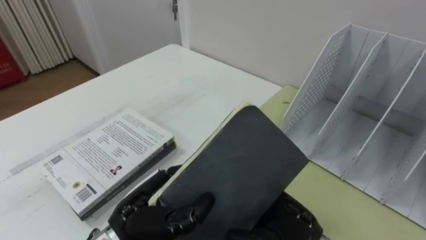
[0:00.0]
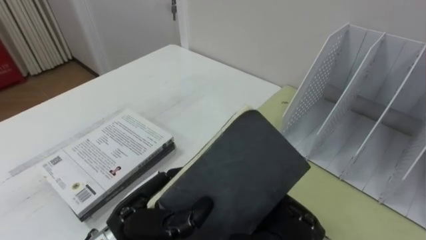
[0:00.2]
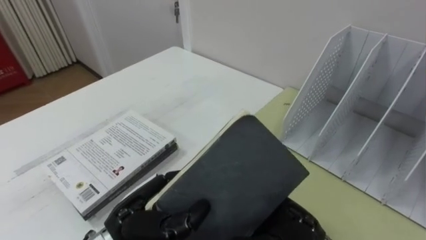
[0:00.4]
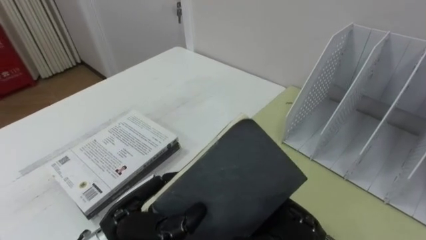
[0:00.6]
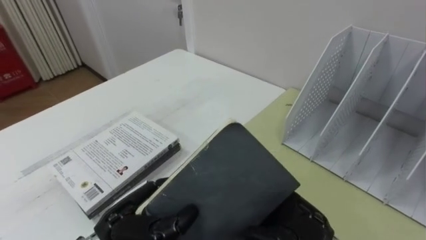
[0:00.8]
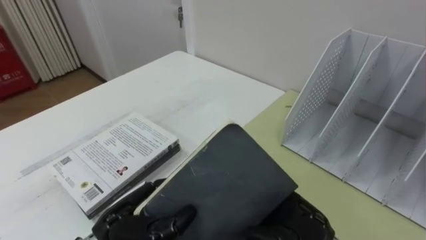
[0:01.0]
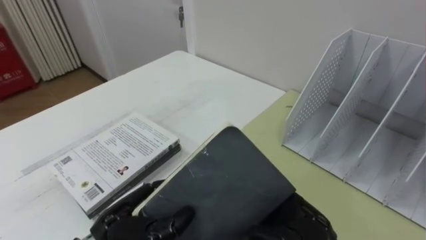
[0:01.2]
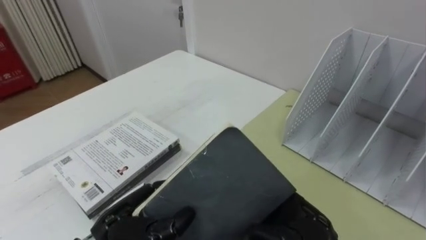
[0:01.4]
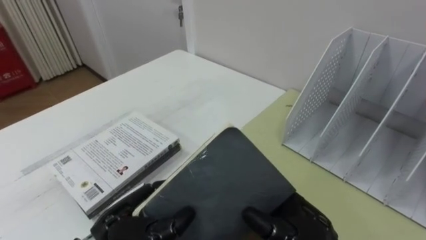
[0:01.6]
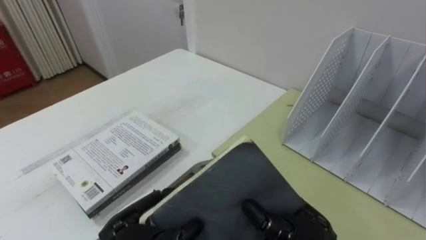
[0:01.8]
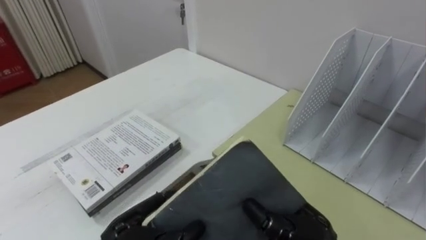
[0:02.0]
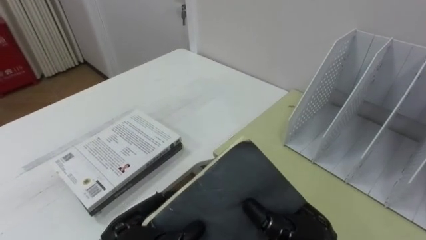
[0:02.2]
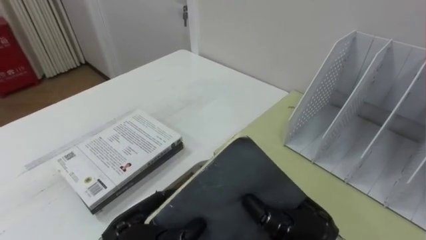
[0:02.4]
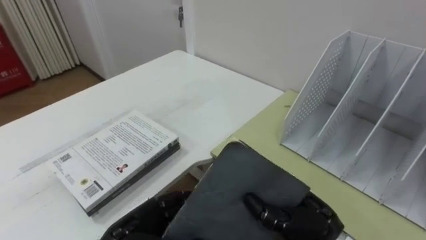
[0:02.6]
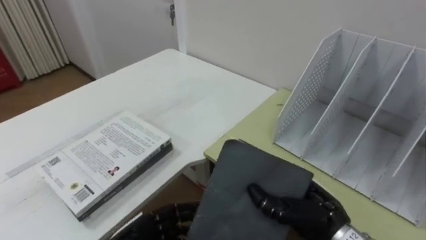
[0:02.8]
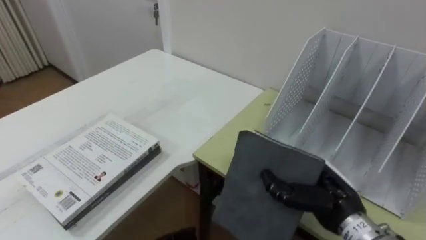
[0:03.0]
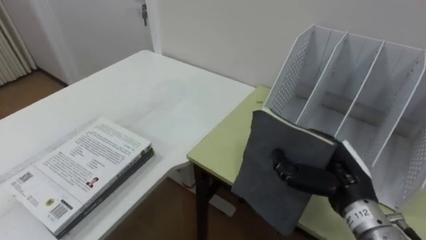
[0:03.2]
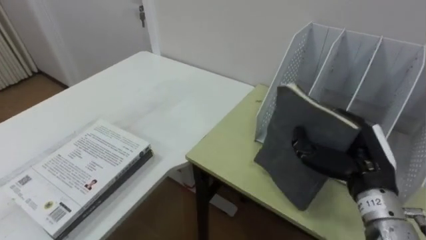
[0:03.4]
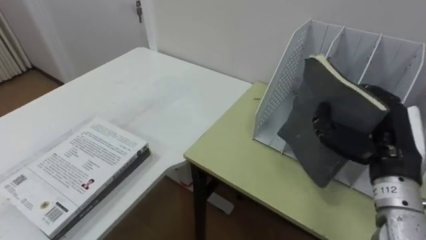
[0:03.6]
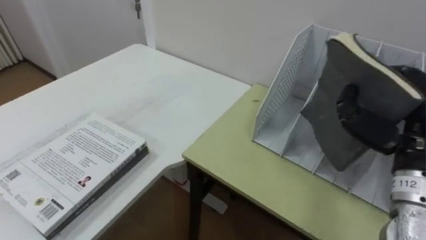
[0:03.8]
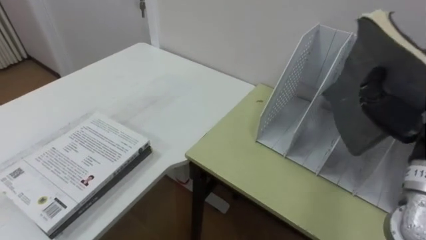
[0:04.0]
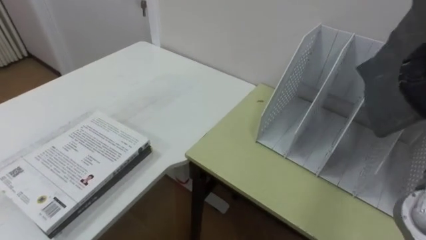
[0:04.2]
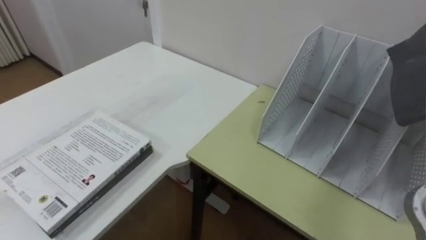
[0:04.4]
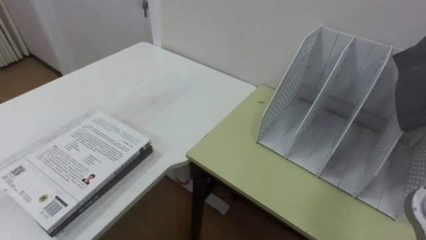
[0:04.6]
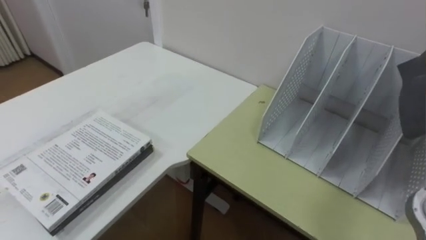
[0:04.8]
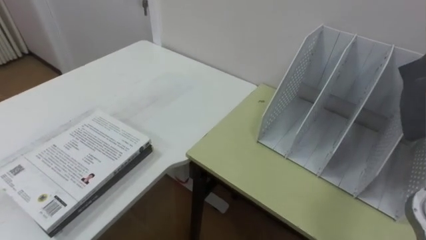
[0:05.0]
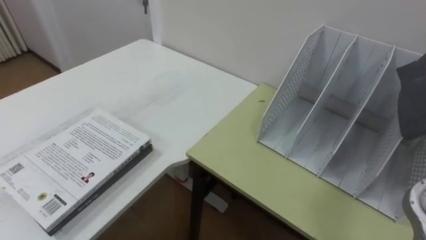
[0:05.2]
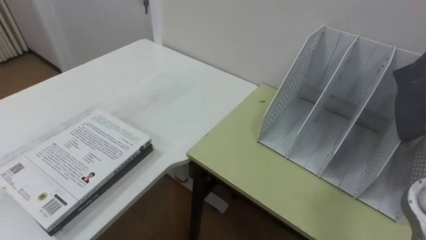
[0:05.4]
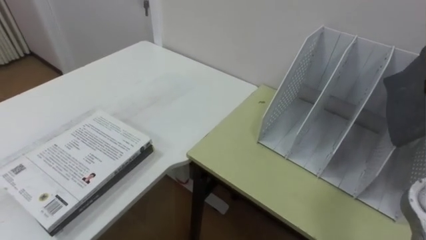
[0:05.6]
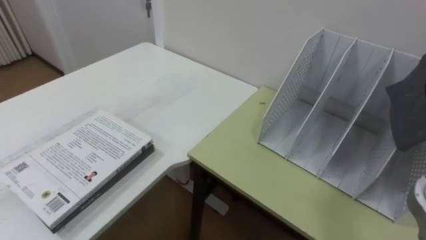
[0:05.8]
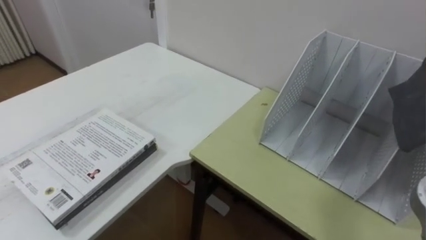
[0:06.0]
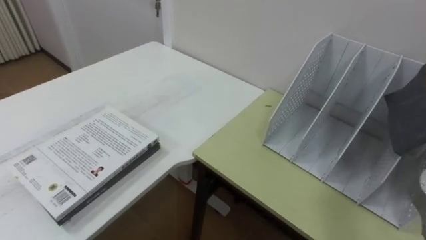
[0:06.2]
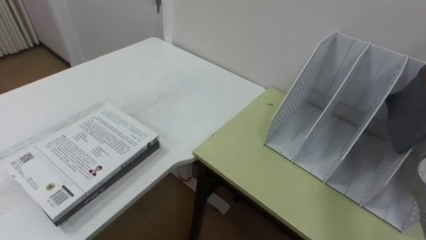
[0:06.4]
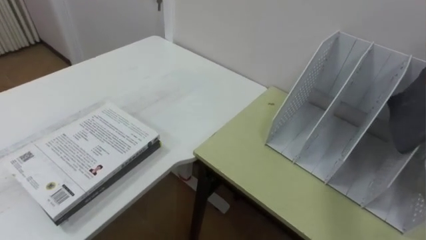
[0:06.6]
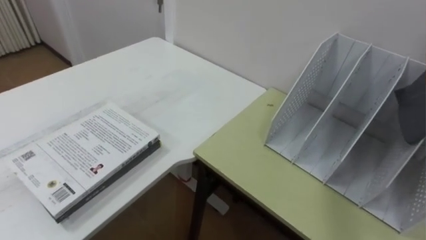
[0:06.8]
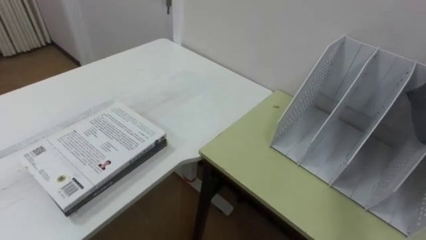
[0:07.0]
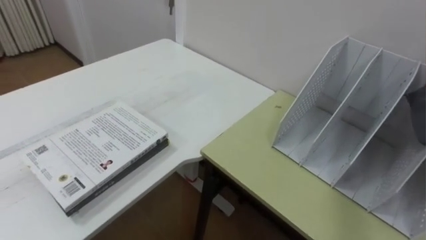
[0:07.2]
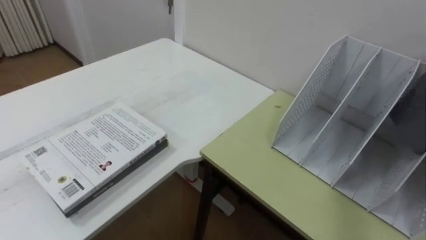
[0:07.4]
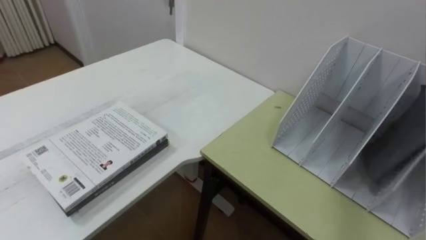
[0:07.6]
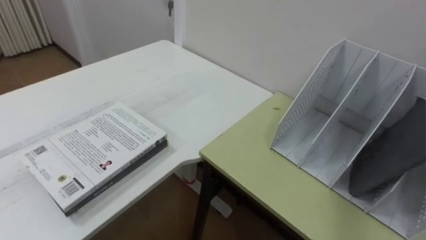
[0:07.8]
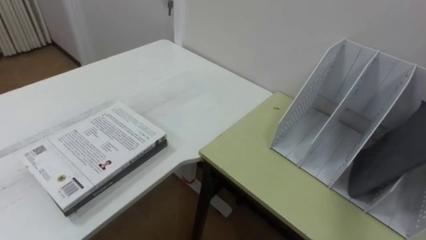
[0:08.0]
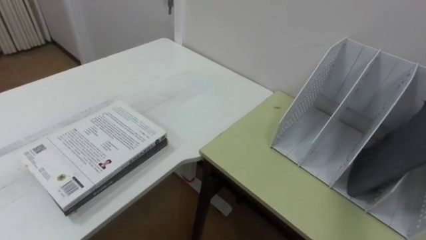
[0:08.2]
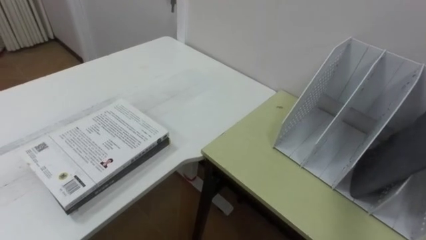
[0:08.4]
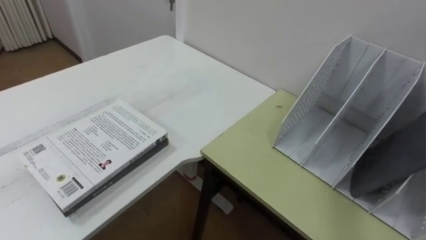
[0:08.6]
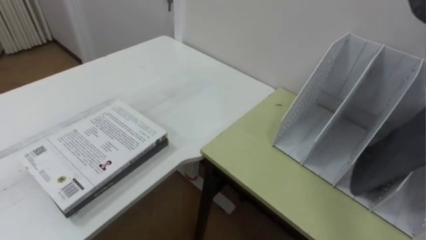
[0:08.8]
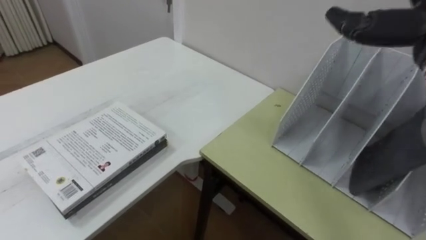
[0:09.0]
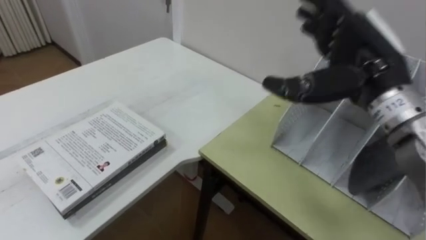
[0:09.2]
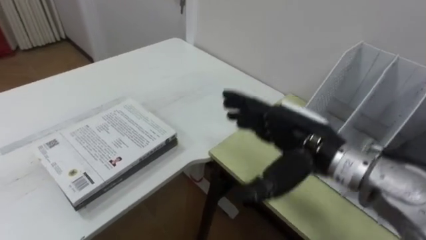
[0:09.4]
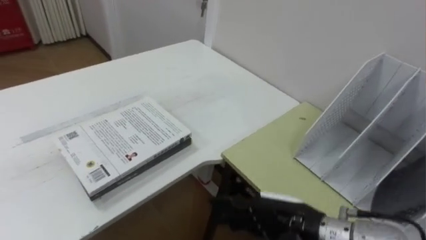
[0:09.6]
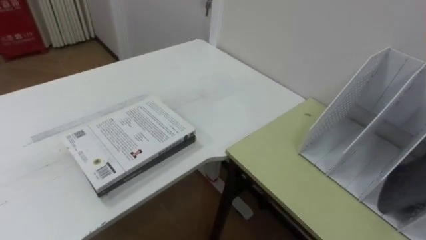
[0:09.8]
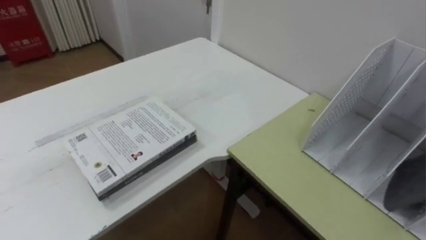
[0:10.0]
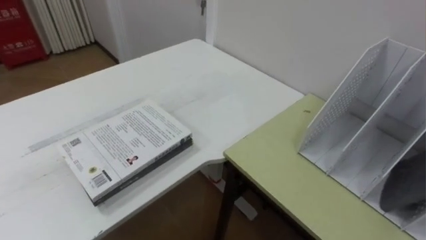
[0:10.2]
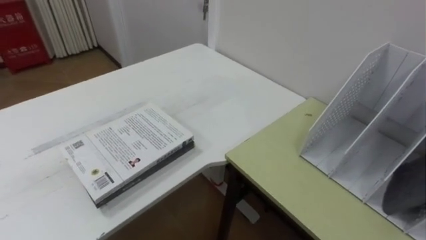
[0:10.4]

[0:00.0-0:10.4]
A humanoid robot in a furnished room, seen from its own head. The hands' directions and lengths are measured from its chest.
Task of the whole recording: Put the books on the table onto the bookshelf.
0:00.0 to 0:01.4: The hands make only small movements.
0:01.4 to 0:03.0: The right hand heads to the right, covering approximately 5 cm, and closes.

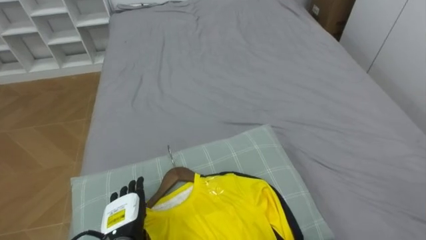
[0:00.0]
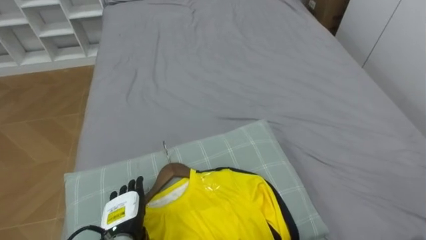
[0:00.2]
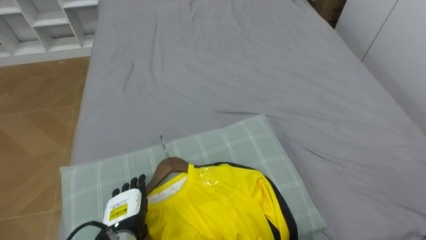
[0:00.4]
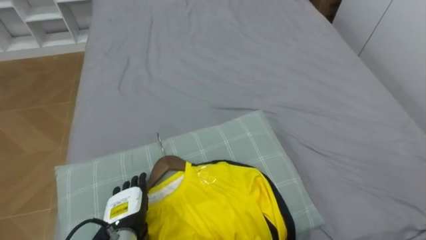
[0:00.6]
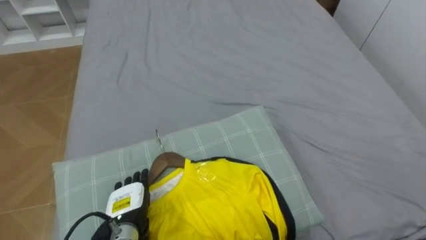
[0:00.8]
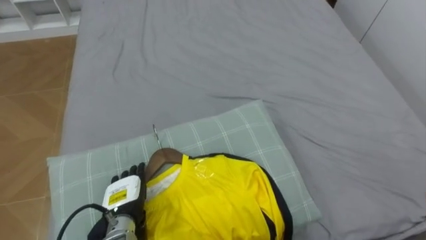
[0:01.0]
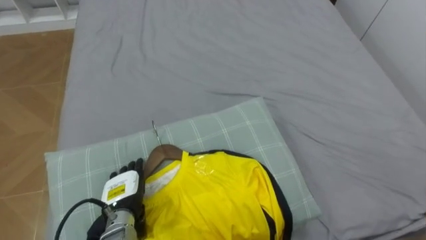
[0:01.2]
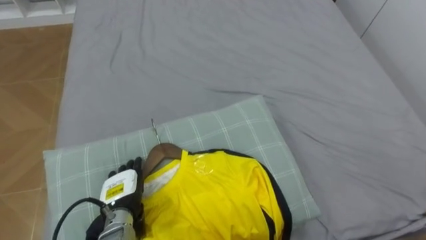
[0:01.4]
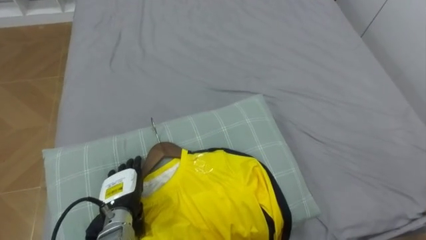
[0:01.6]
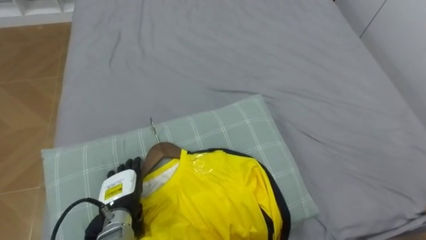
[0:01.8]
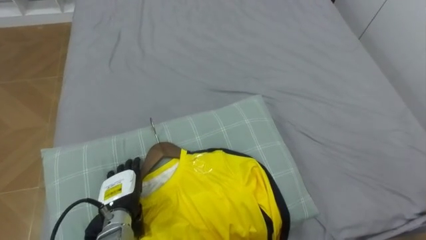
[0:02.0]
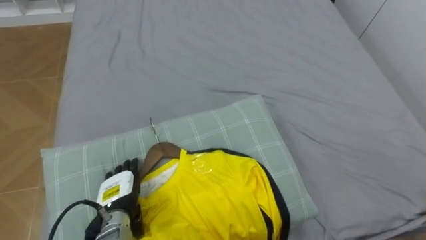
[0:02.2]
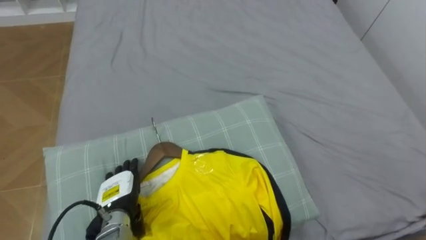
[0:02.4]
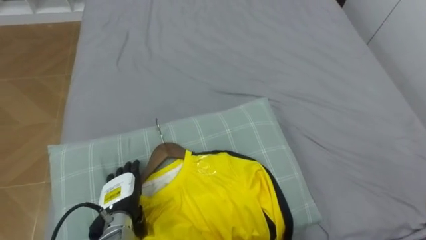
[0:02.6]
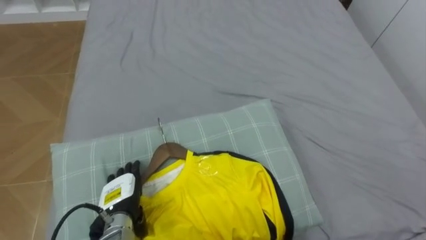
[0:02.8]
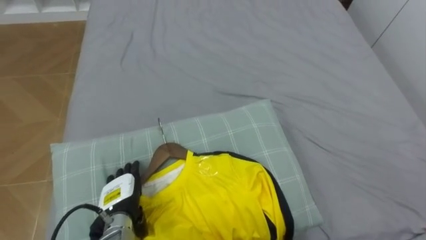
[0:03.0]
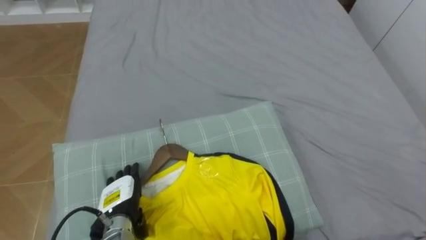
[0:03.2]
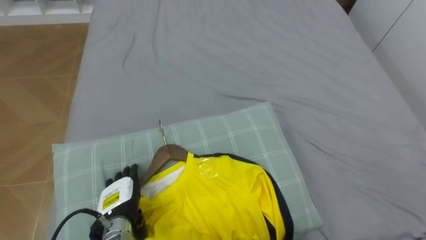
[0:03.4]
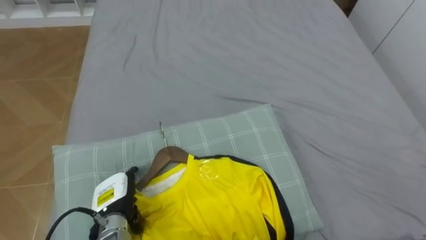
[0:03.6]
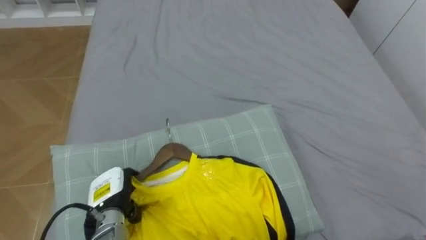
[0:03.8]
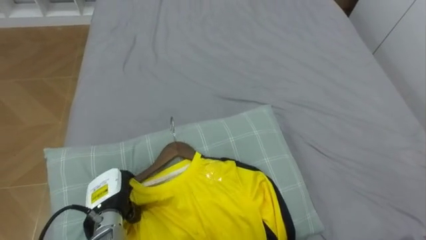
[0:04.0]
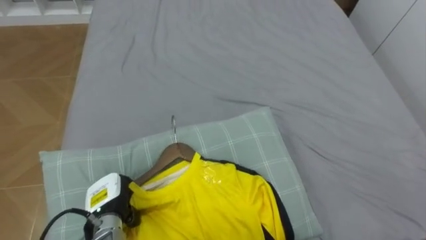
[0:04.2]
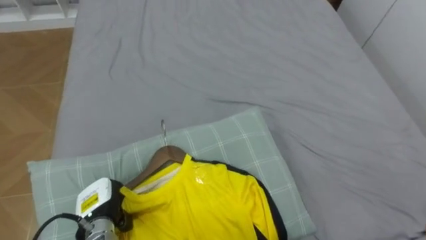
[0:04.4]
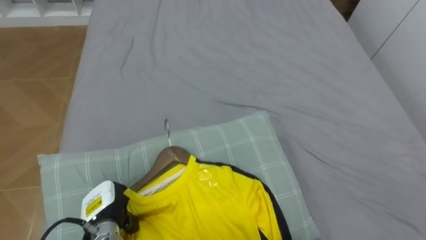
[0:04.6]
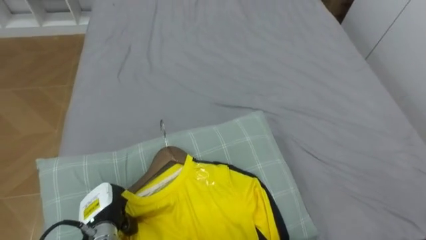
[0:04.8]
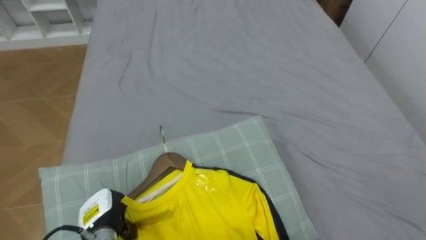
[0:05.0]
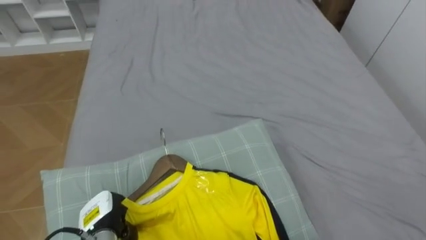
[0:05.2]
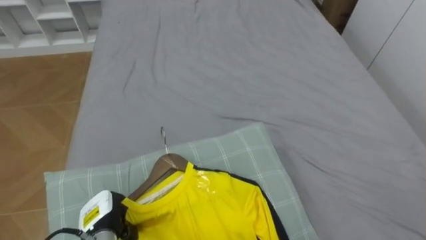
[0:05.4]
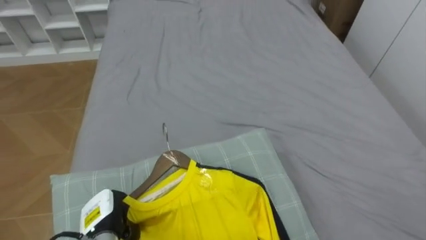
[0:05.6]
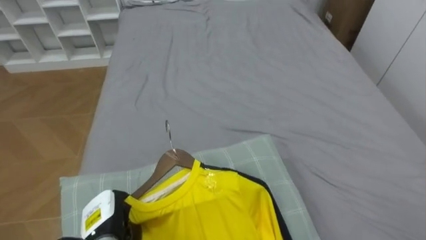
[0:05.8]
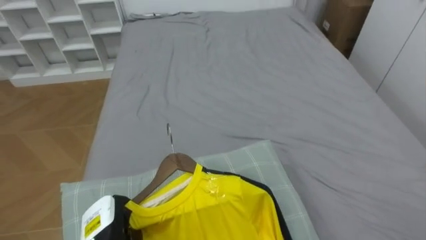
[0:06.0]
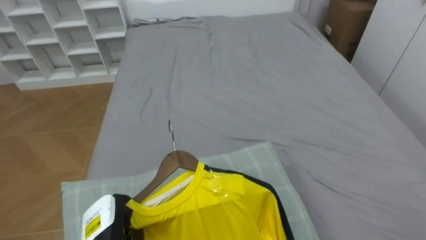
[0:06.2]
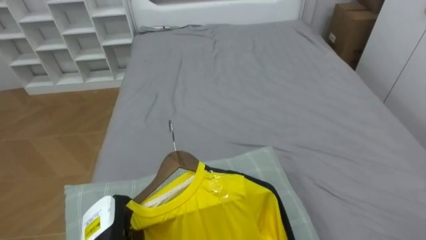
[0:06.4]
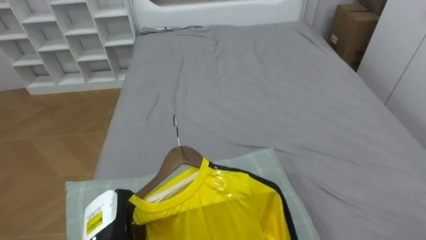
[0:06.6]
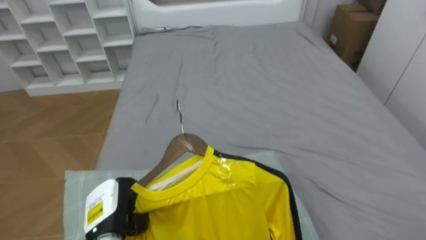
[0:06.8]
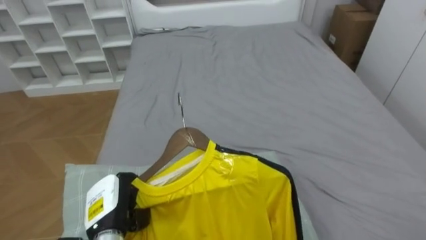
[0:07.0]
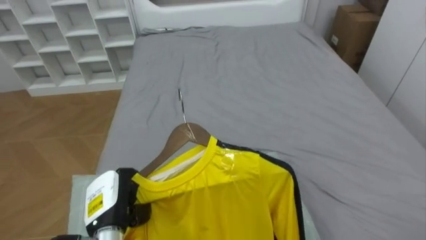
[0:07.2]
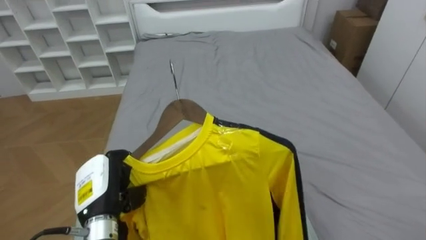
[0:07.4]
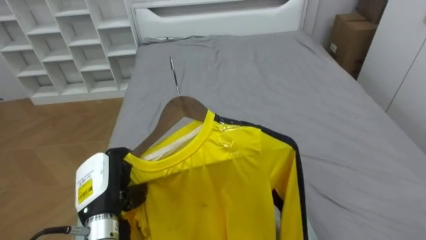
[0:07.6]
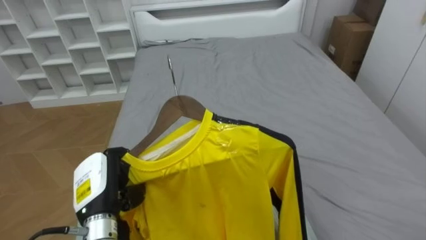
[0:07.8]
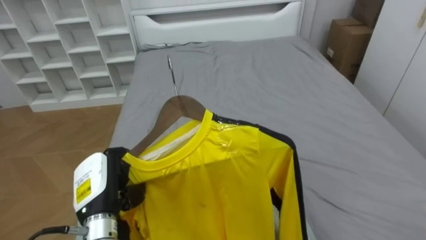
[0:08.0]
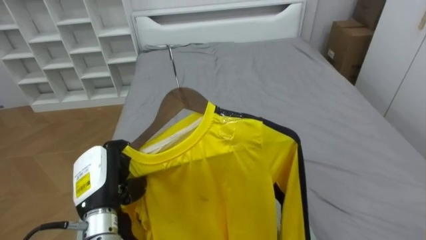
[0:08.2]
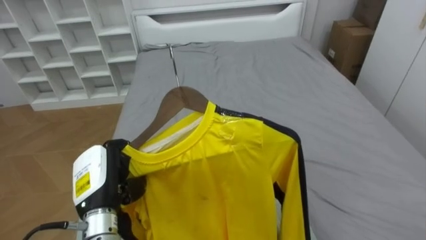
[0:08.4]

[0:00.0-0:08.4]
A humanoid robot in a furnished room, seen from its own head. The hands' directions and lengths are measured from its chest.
Task of the whole recording: Pick up the yellow shirt on the bed and hang it on the clothes rack on the right.
0:00.0 to 0:01.4: The left hand ends up some 5 cm from where it was.
0:02.8 to 0:04.2: The left hand closes its fingers.
0:05.6 to 0:07.0: The left hand shifts approximately 5 cm upward.
0:07.0 to 0:08.4: The left hand heads upward, covering roughly 5 cm.
